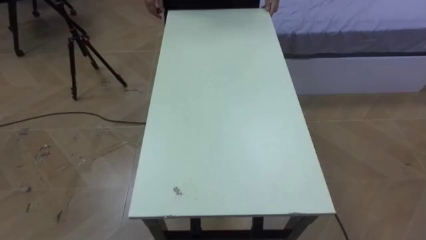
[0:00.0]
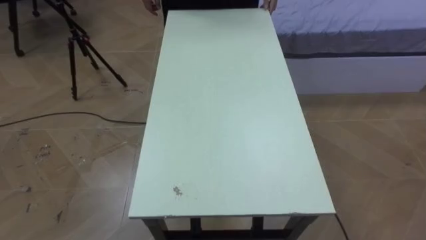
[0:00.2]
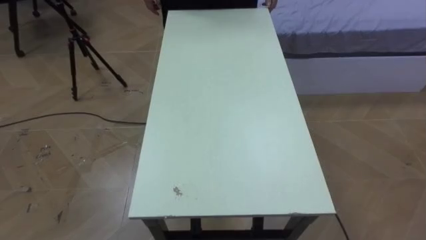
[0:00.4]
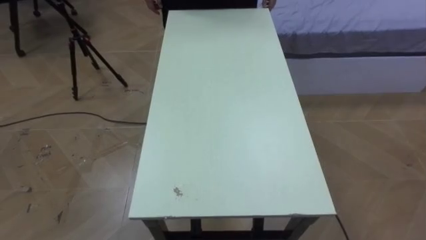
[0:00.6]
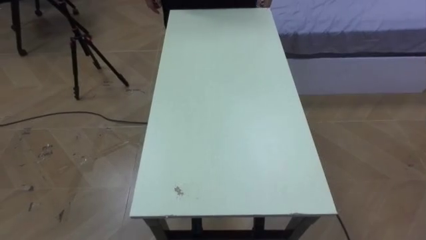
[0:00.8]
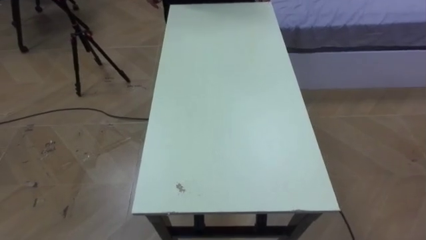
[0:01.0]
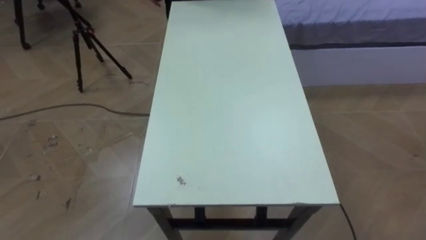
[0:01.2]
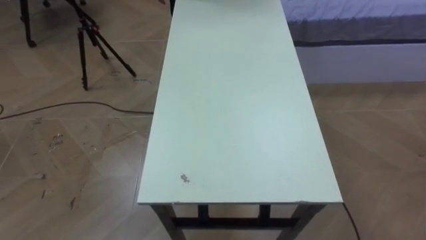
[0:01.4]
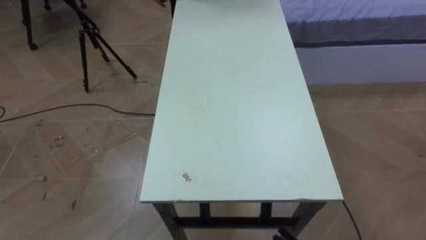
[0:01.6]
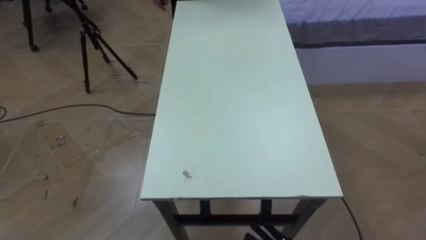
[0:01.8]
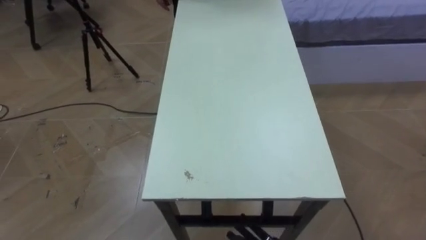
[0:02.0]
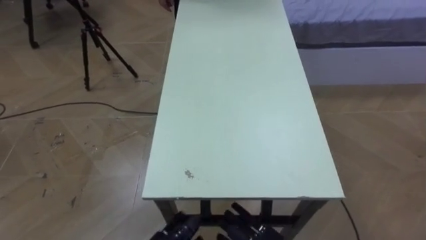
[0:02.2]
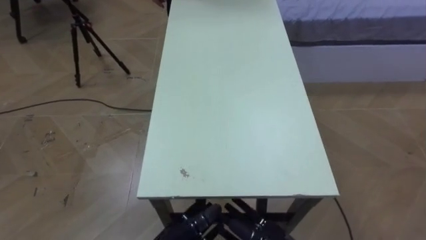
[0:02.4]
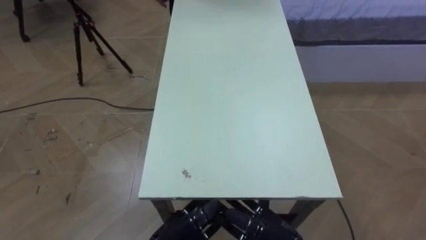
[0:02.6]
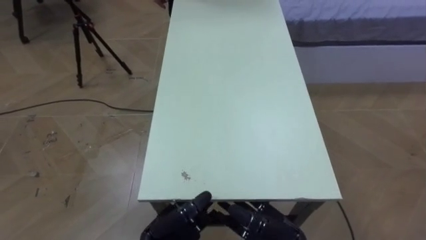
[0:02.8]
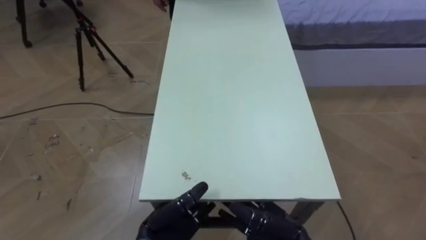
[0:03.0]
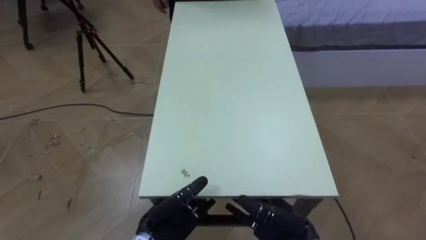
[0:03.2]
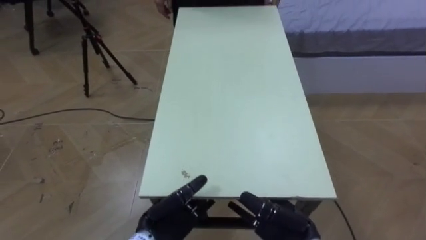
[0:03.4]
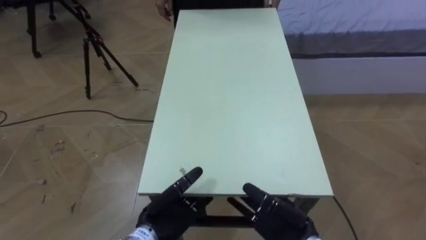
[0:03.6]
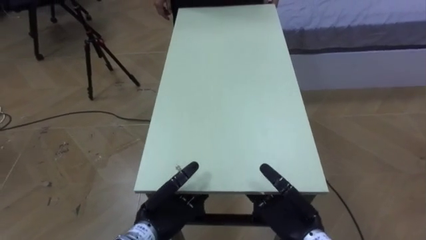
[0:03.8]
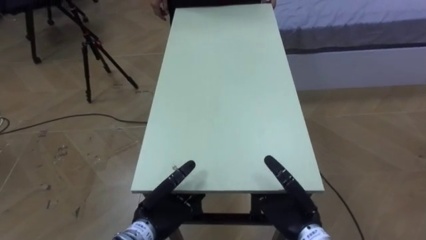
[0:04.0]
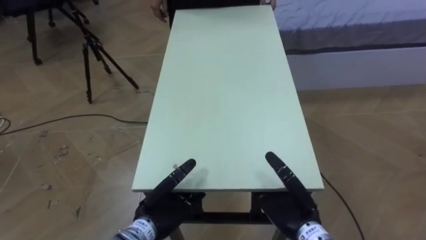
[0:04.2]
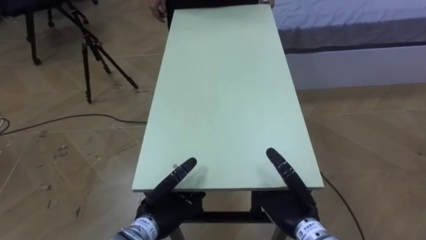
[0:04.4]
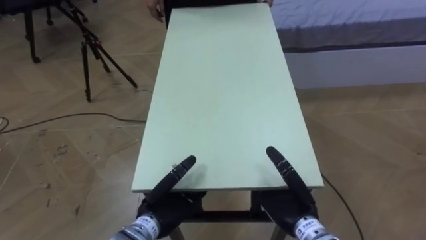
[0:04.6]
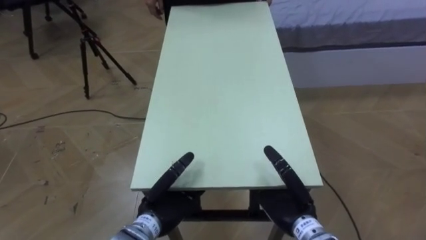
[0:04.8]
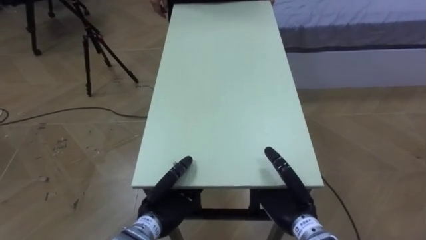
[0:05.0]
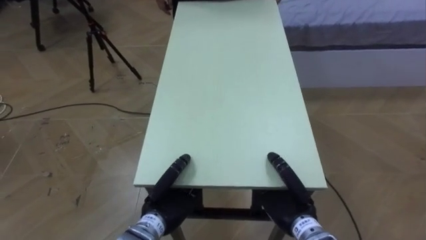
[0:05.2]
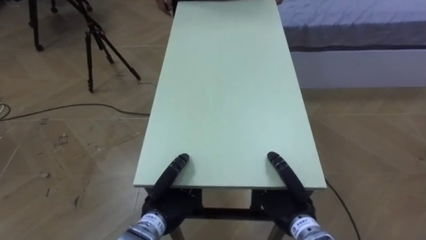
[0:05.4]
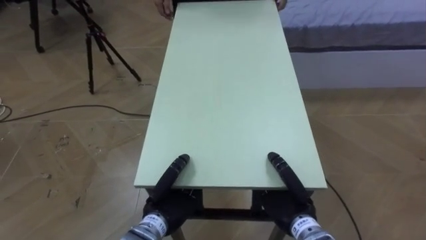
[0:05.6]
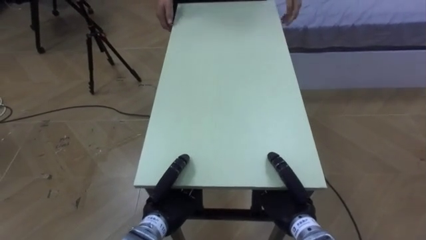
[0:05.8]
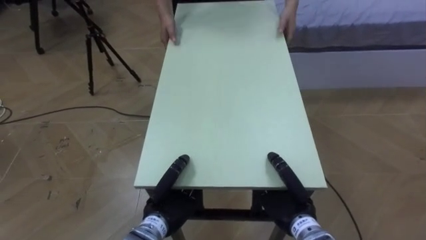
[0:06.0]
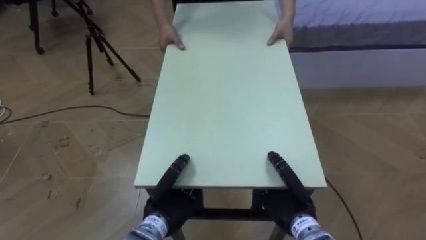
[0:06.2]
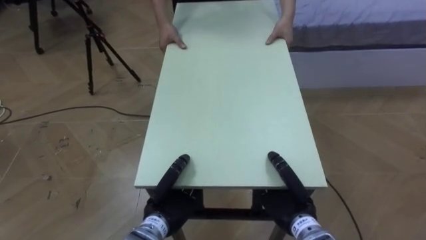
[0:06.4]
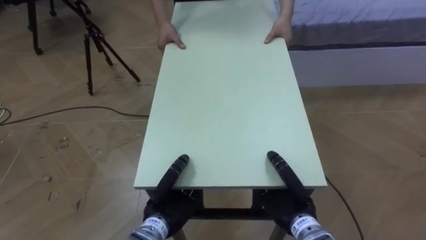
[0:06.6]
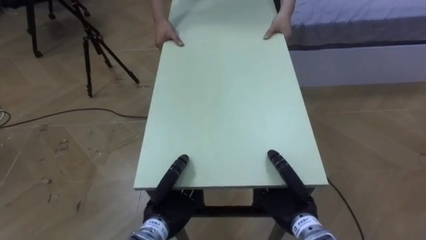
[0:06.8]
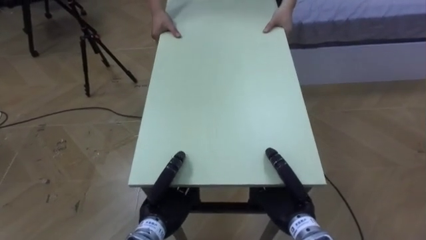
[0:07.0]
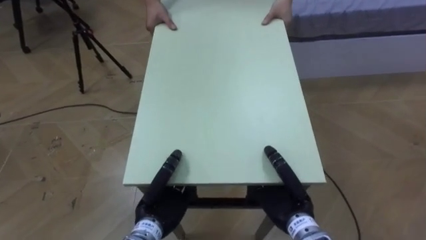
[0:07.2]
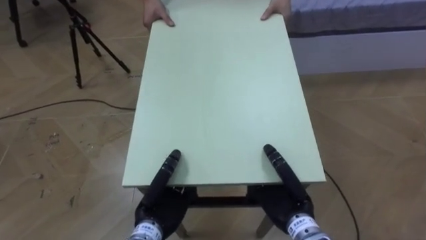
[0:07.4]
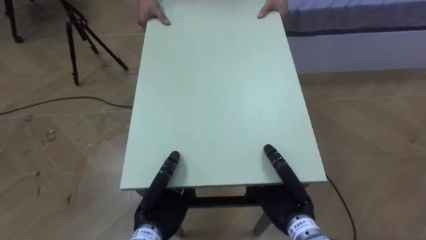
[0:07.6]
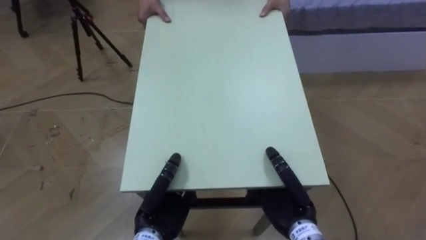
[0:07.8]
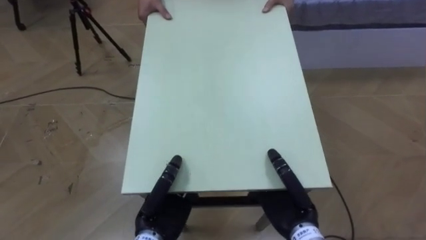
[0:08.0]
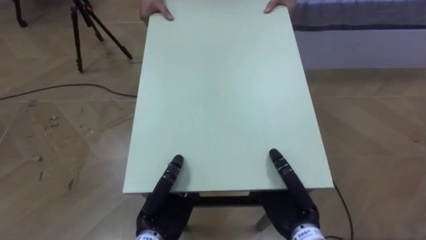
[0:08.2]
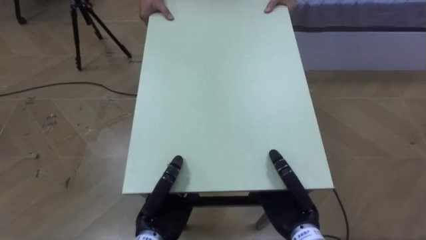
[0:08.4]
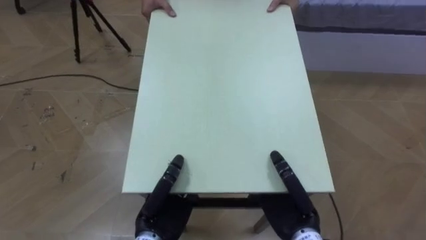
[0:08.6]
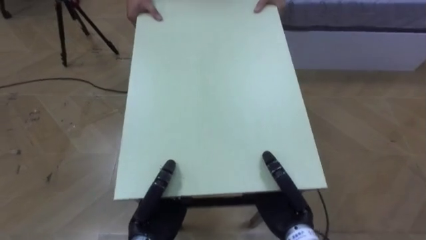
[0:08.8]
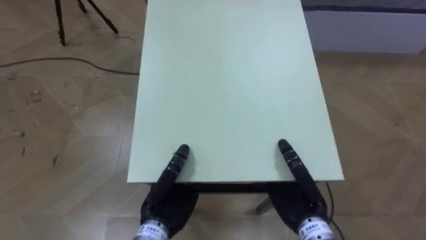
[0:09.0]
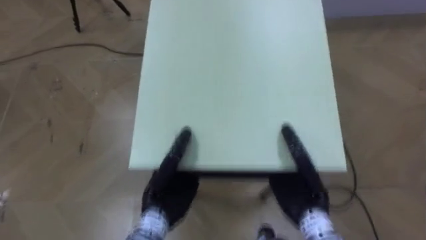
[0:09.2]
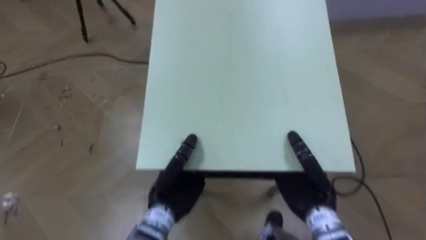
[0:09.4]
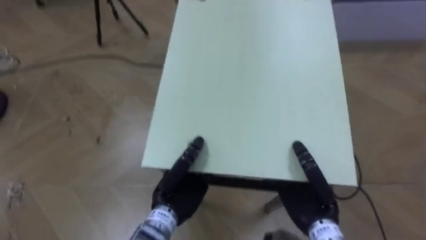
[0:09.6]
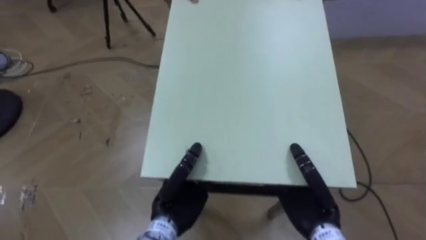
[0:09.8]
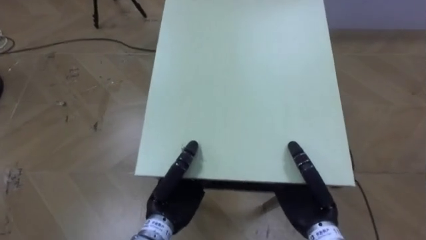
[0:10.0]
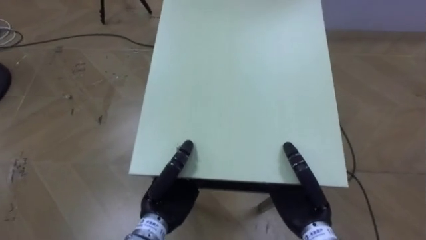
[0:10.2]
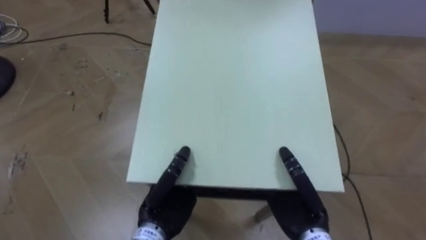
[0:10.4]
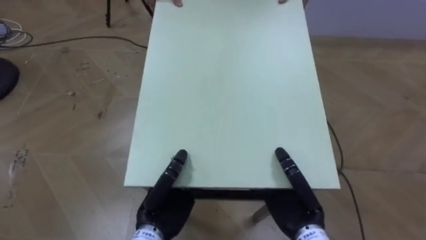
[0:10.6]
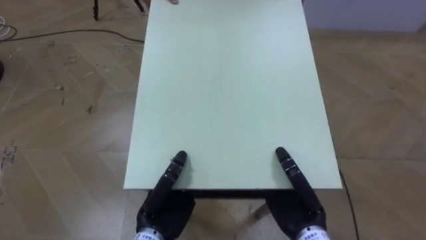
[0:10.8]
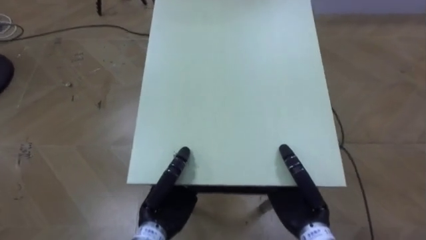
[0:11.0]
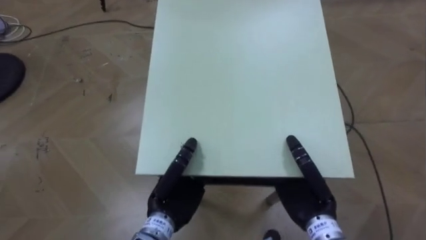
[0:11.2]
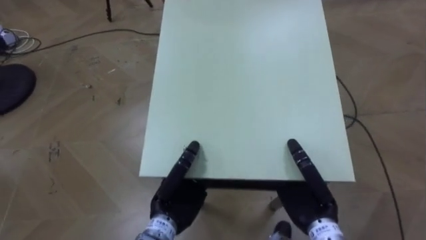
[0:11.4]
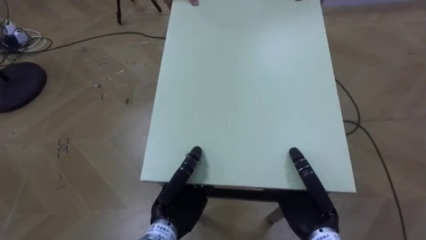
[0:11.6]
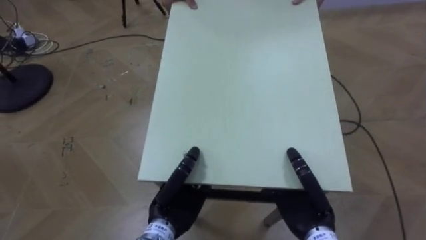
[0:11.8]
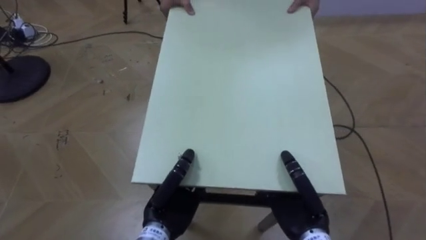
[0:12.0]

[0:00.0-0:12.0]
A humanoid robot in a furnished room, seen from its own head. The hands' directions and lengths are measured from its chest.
Task of the whole recording: Move the table to the back left with someone.
0:03.0 to 0:04.4: The right hand changes place by roughly 5 cm.
0:04.4 to 0:06.0: The left hand closes its fingers. Meanwhile the right hand closes up.

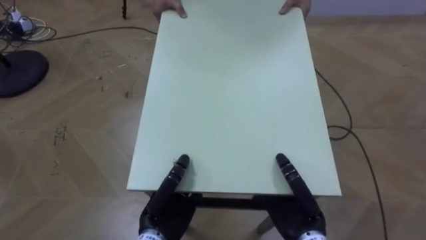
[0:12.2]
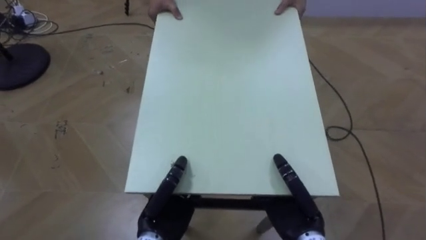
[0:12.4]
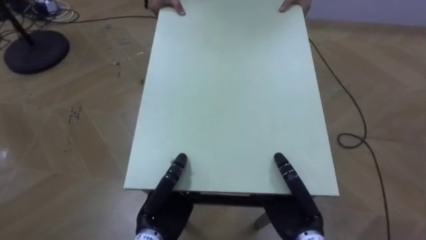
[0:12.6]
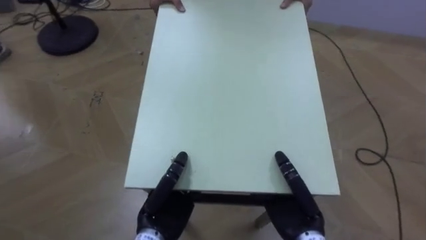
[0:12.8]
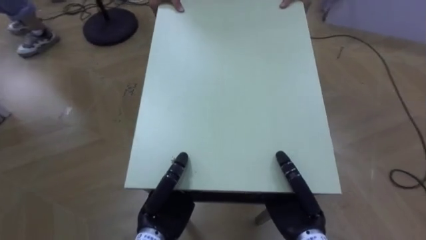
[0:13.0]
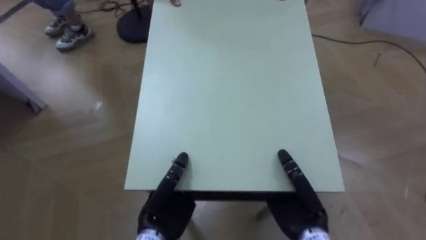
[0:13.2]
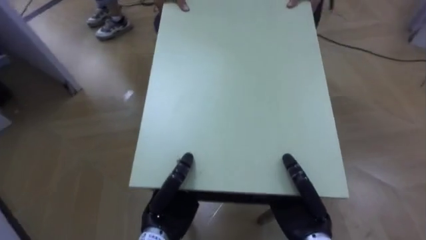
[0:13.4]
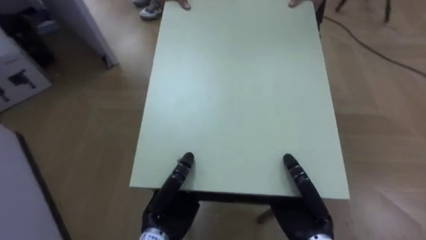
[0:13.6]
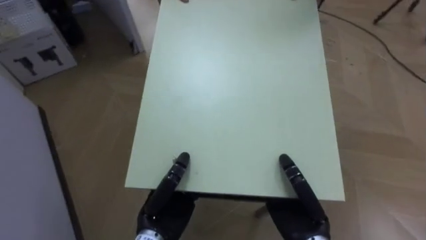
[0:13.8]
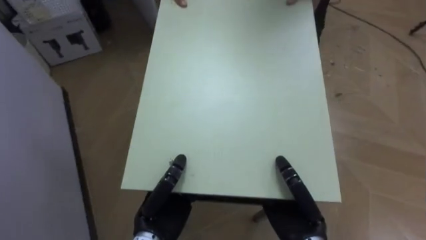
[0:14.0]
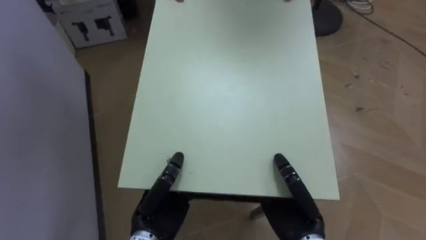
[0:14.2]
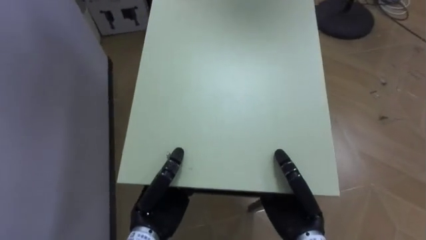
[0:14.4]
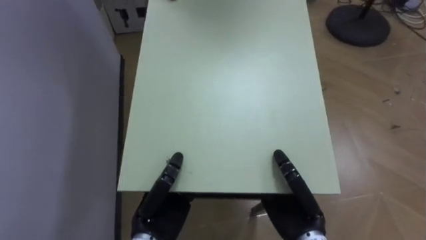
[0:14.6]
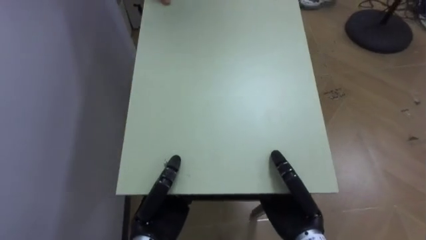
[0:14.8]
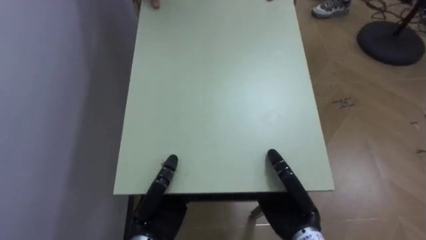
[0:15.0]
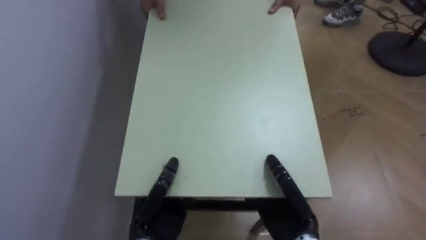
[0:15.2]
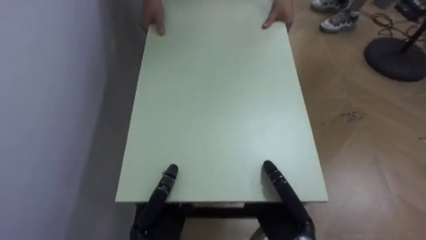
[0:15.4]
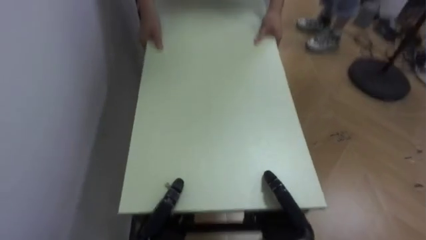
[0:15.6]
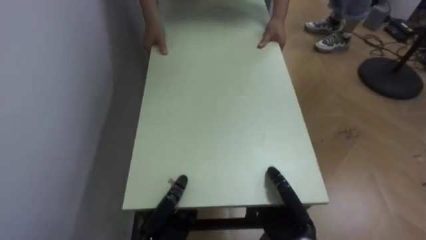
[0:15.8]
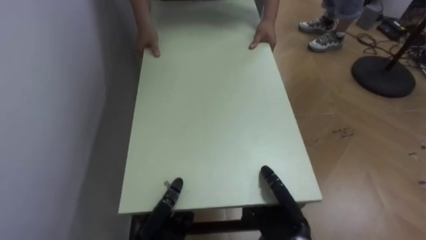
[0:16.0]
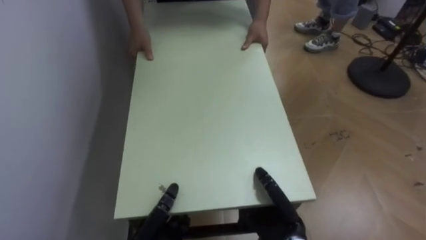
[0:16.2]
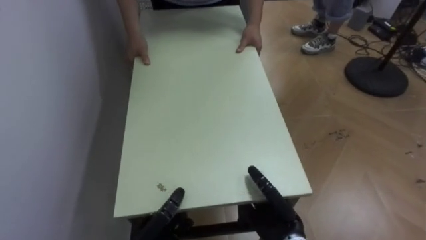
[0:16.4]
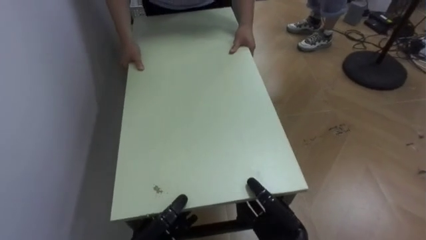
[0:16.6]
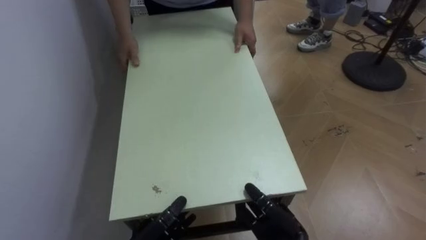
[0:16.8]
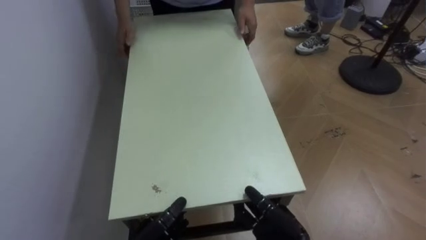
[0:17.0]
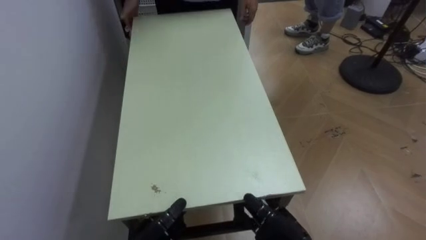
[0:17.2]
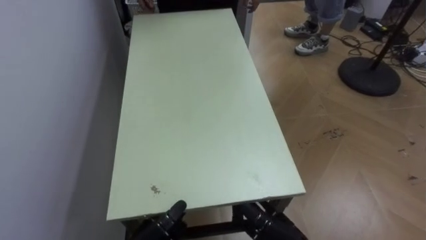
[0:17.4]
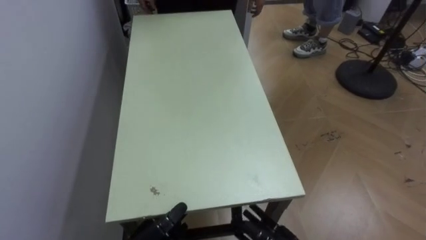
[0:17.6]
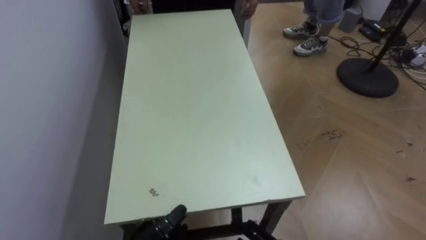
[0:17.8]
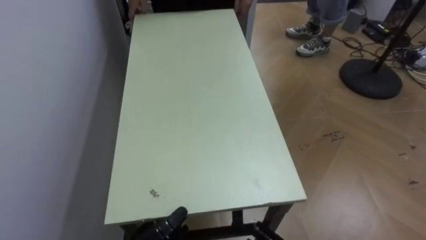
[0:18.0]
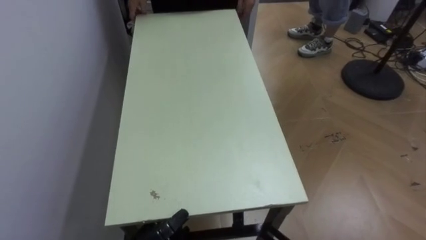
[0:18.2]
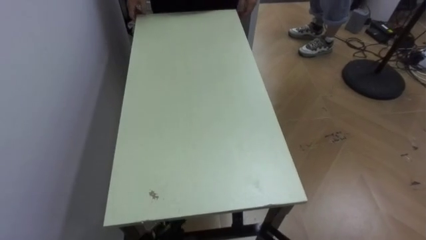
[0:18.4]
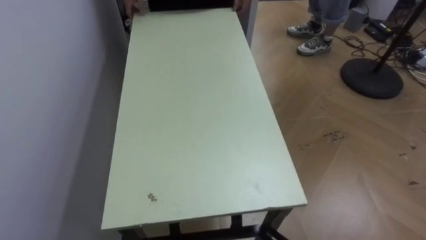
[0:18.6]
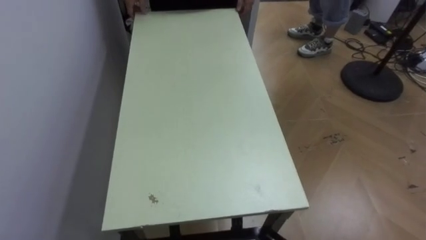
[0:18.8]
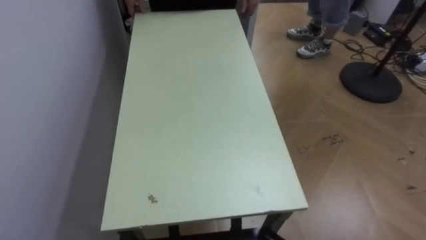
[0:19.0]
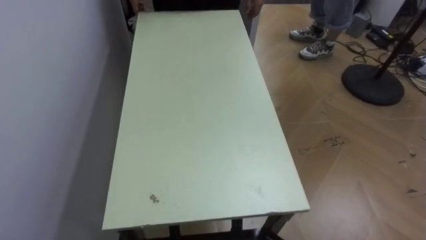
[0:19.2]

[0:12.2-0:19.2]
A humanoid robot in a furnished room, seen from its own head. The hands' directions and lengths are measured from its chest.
Task of the whole recording: Move the table to the back left with someone.
0:12.2 to 0:13.6: The robot faces roughly 50 degrees further to its left.
0:13.6 to 0:15.0: The robot's body swings approximately 30 degrees to its left.
0:15.0 to 0:16.4: The hands both shift downward by about 5 cm.